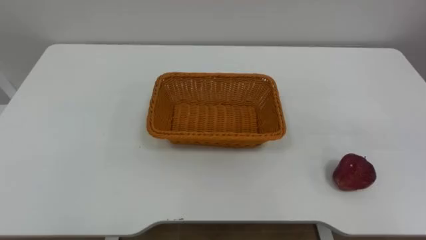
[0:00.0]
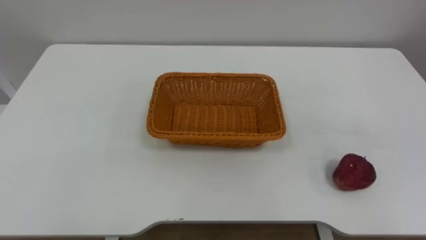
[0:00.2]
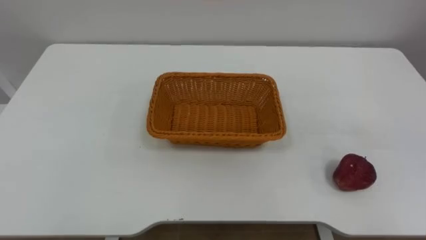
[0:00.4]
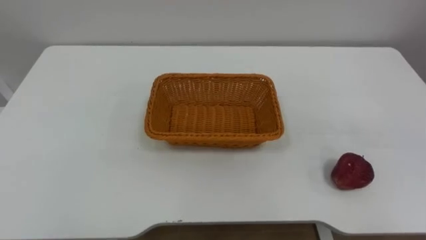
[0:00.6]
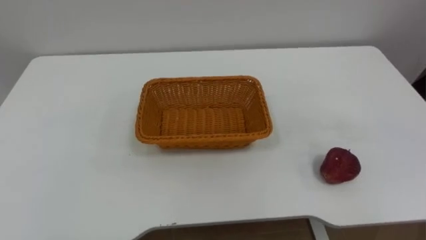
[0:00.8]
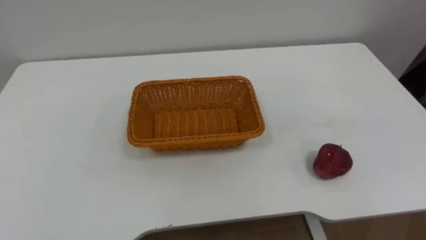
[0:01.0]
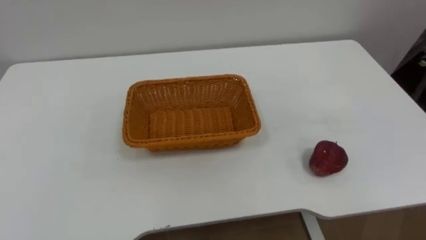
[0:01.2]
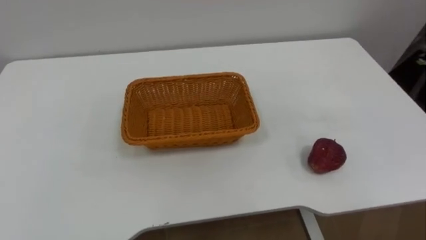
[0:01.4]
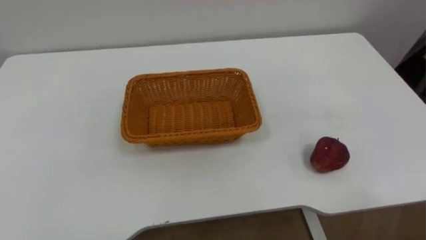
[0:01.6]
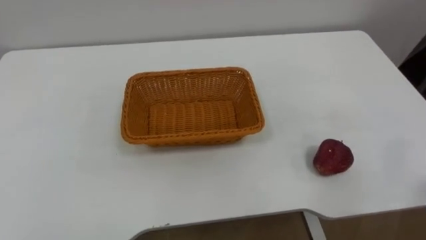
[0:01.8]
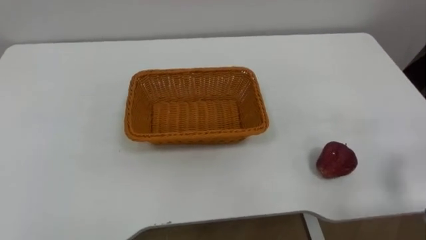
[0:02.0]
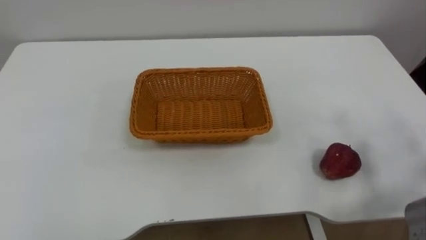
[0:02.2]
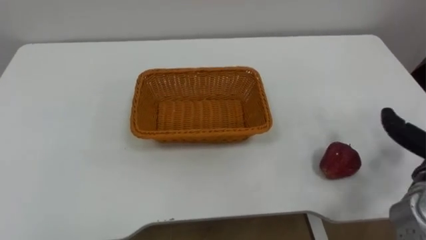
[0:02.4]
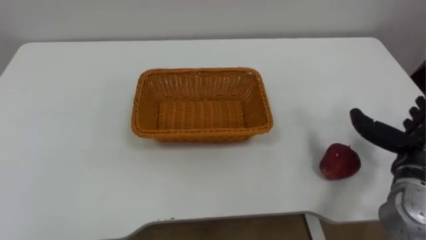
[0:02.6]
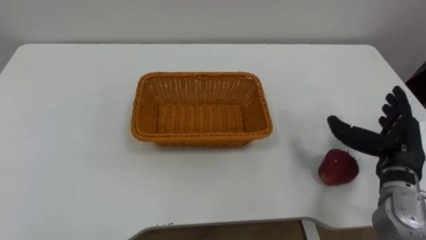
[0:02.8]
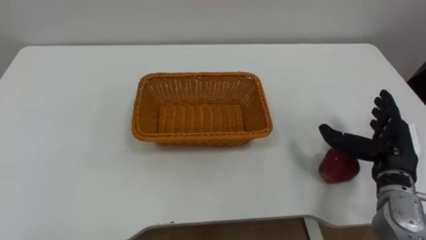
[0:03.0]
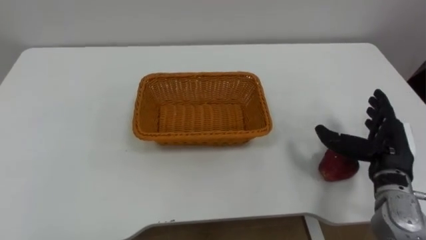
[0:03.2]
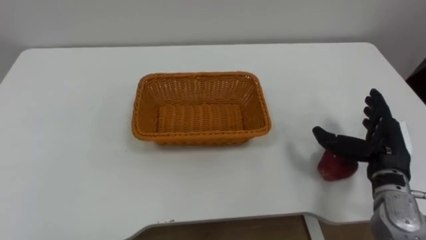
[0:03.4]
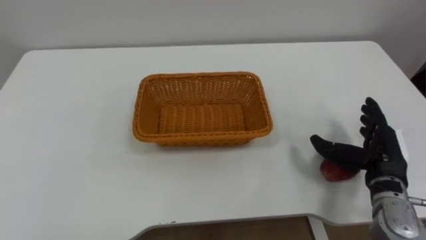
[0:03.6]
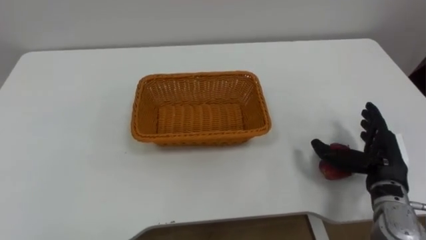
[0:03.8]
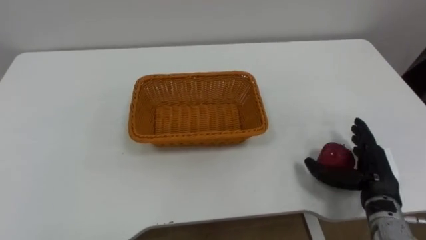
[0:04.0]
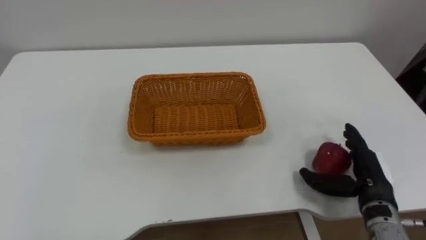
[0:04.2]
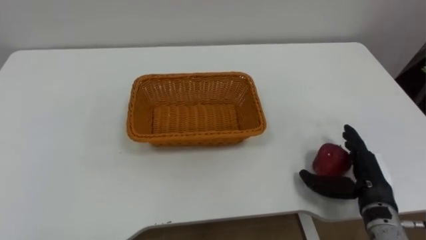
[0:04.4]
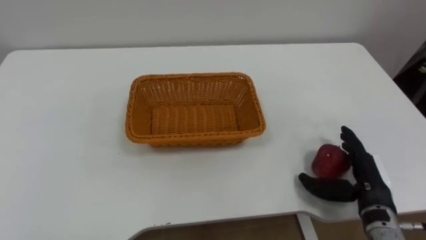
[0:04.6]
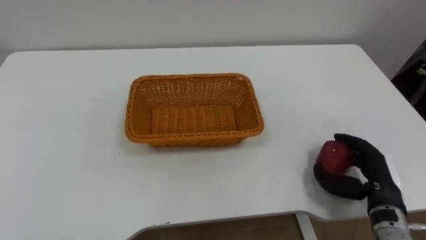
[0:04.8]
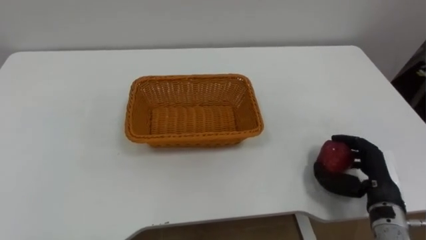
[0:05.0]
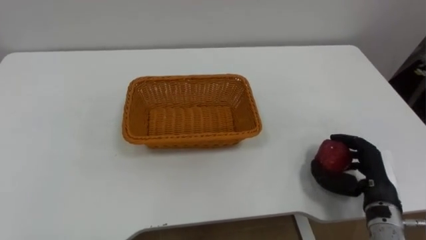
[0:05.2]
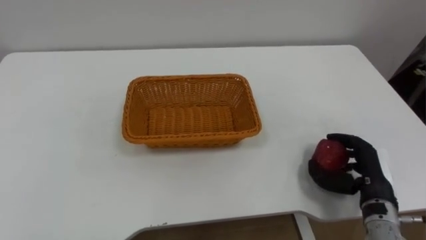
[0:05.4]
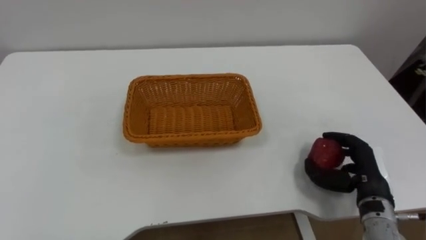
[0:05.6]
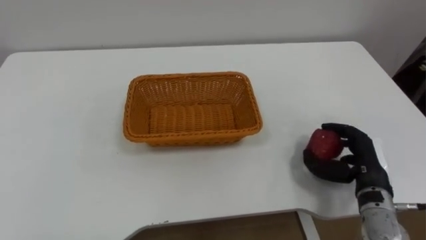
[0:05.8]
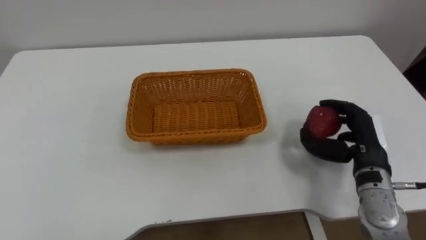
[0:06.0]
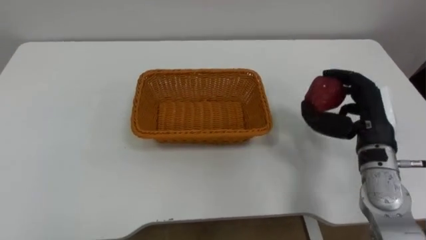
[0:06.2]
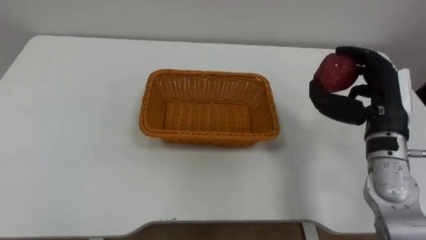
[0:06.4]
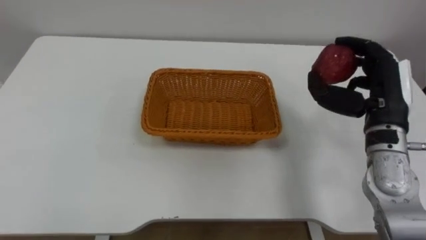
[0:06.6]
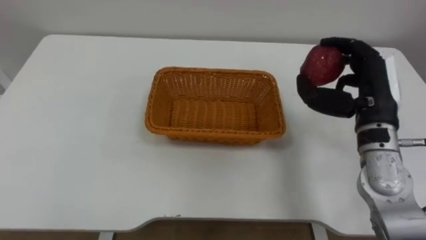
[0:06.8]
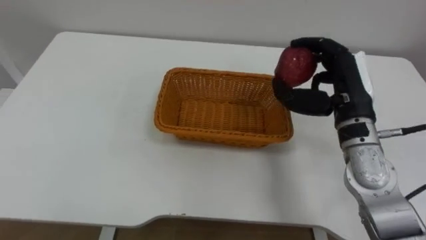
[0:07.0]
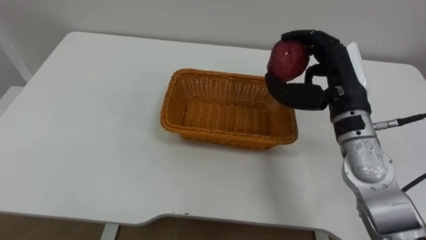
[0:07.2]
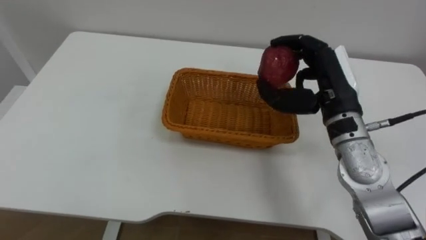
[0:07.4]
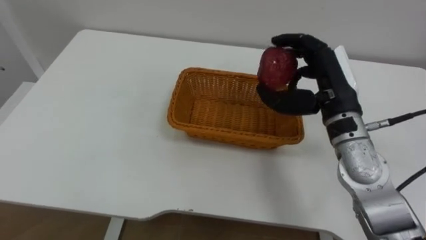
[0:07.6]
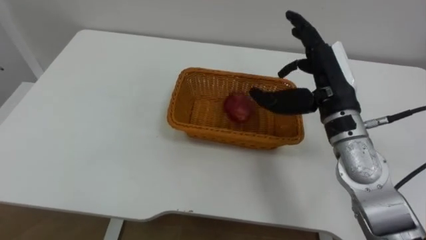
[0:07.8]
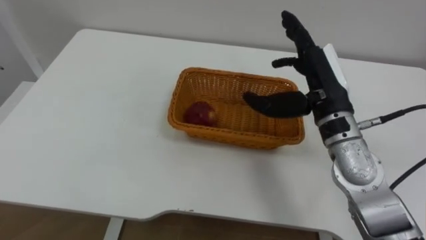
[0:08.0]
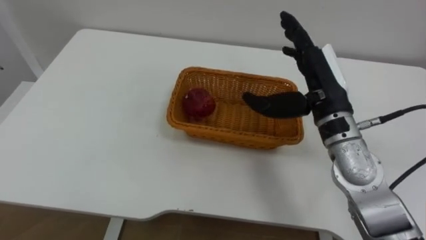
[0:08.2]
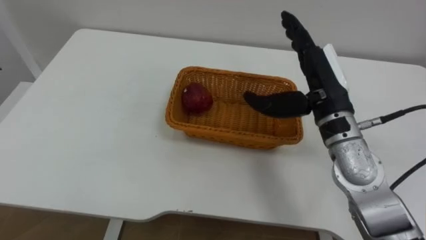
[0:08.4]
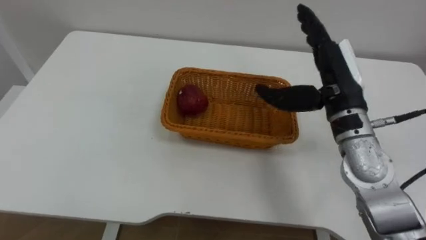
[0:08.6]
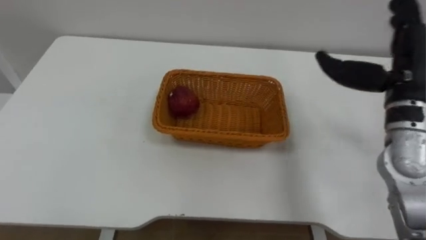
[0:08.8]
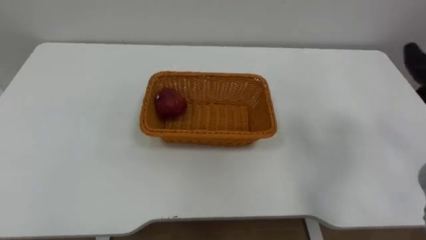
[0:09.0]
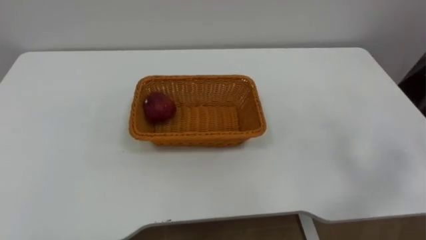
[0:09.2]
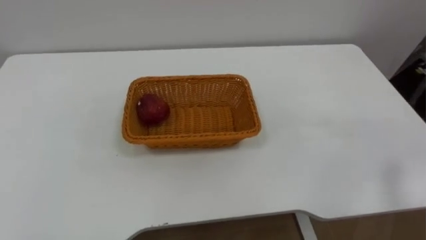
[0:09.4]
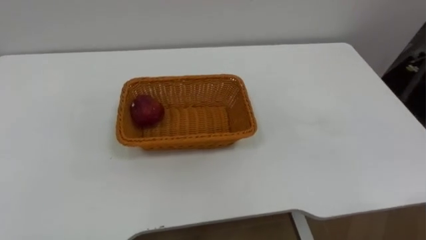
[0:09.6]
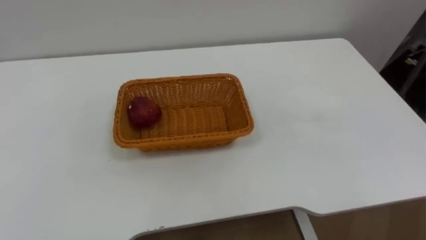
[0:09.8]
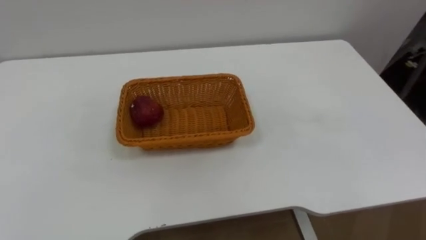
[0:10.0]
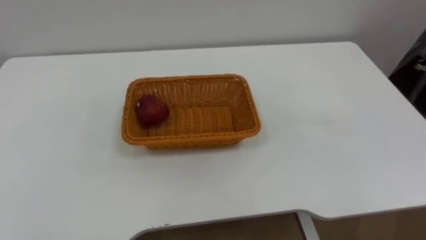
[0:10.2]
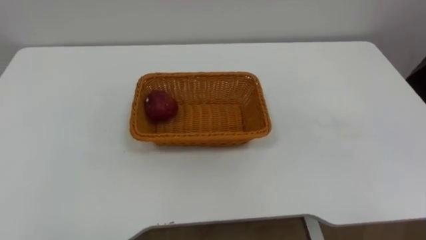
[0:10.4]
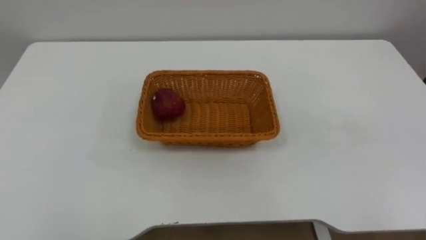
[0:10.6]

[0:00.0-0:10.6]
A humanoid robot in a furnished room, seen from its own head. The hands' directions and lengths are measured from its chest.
Task of the whole recording: Pick the apple and place it in the box.
0:03.0 to 0:04.6: The right hand moves about 5 cm.
0:04.6 to 0:06.0: The right hand shifts by roughly 5 cm, and closes up.
0:06.0 to 0:07.6: The right hand goes roughly 15 cm upward, to the left and forward.

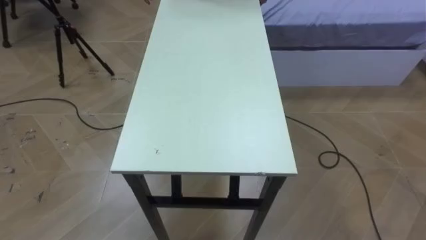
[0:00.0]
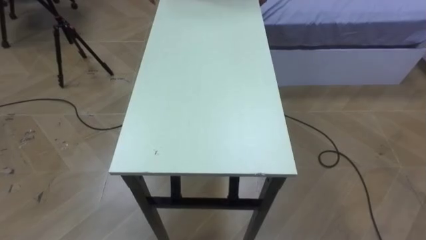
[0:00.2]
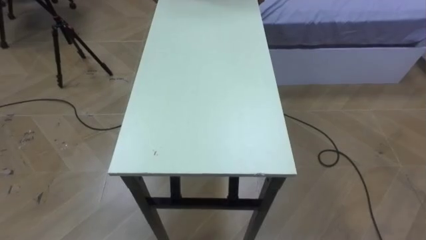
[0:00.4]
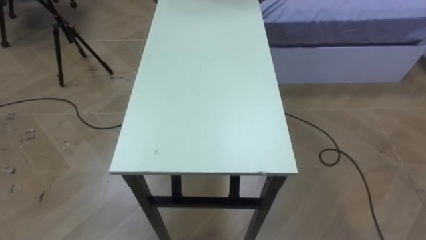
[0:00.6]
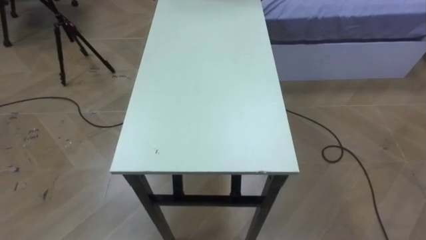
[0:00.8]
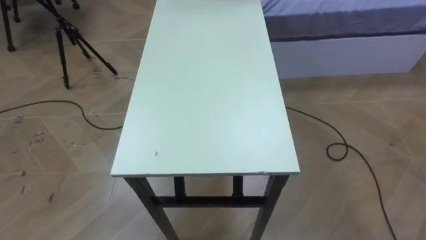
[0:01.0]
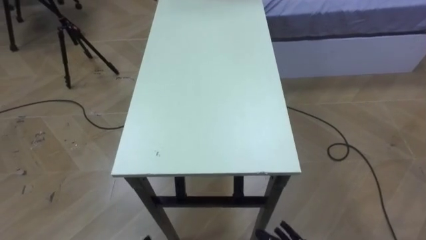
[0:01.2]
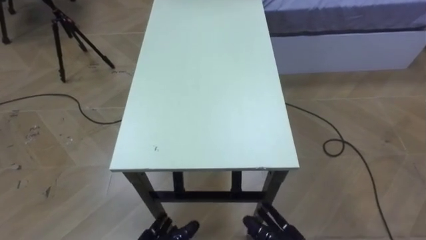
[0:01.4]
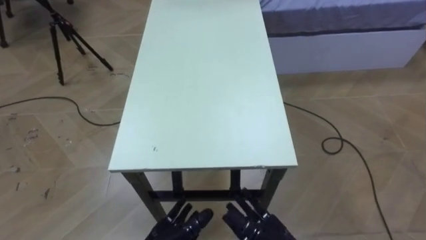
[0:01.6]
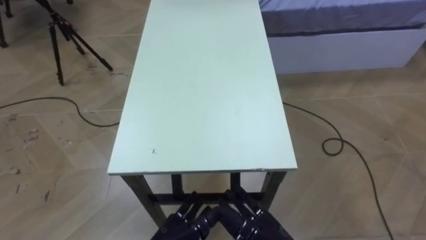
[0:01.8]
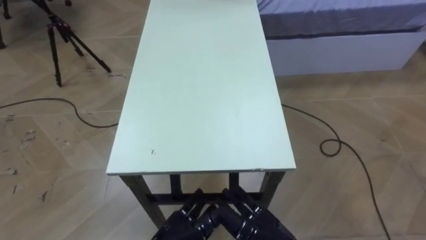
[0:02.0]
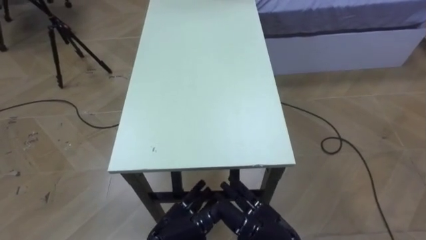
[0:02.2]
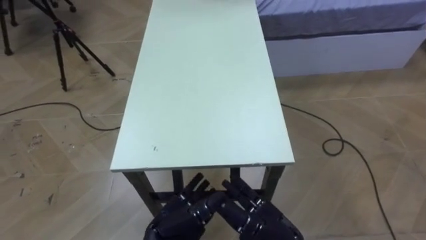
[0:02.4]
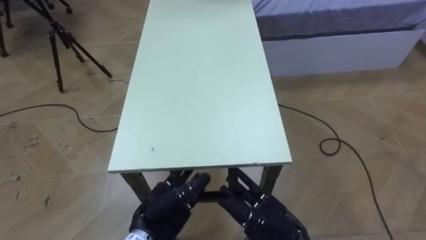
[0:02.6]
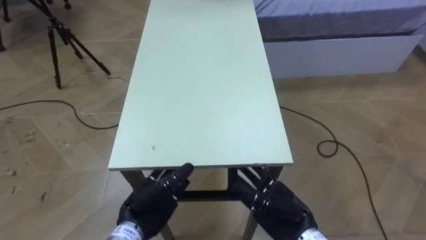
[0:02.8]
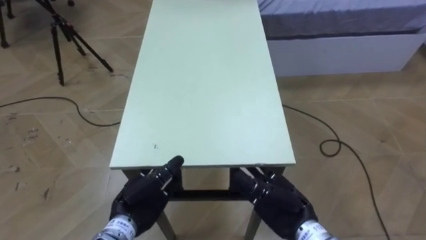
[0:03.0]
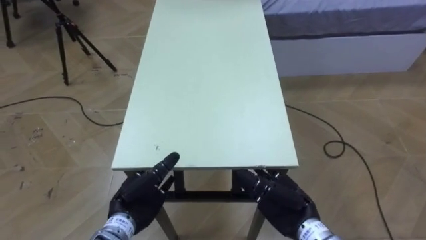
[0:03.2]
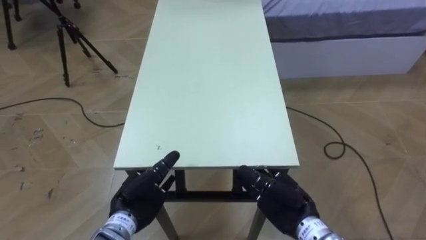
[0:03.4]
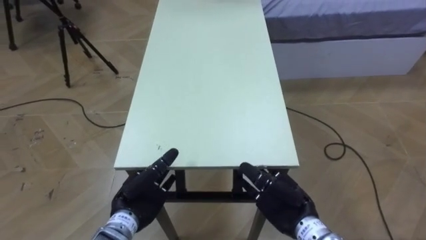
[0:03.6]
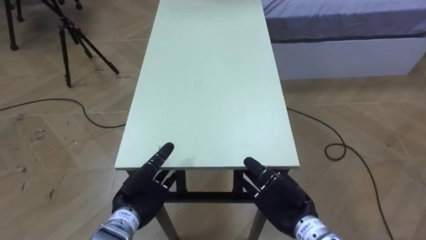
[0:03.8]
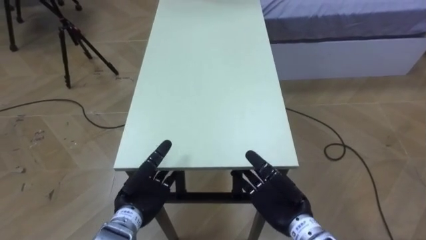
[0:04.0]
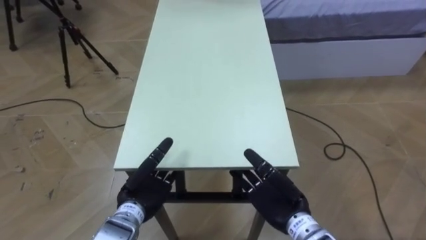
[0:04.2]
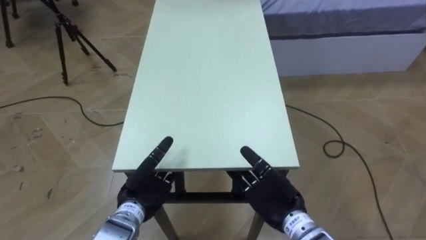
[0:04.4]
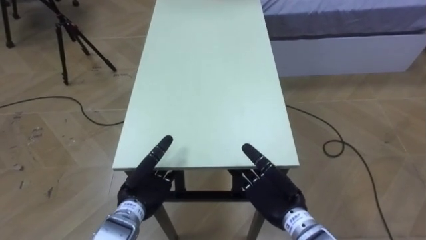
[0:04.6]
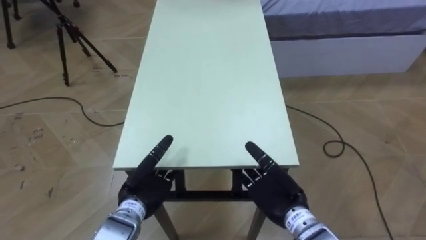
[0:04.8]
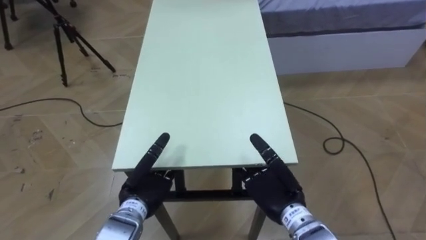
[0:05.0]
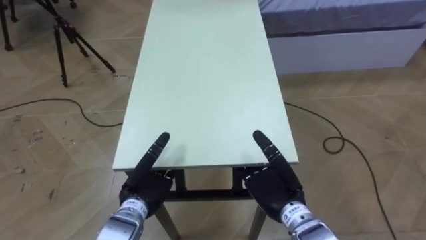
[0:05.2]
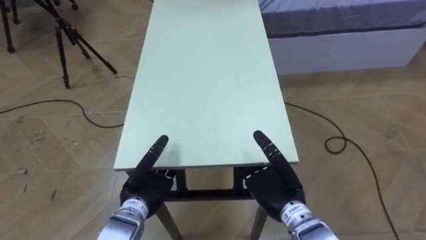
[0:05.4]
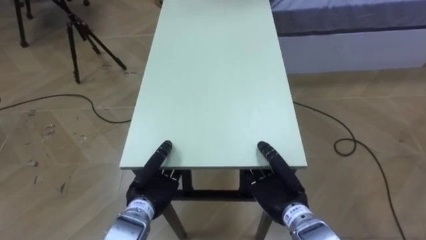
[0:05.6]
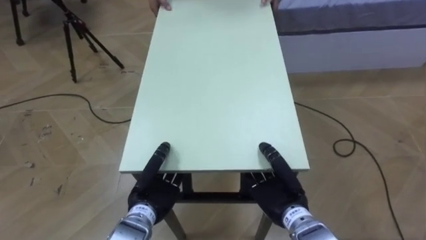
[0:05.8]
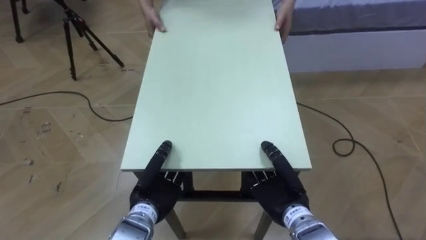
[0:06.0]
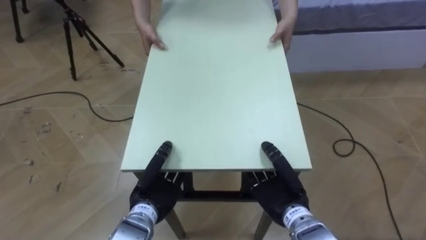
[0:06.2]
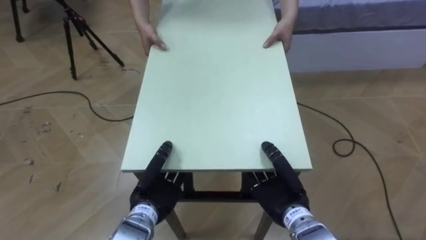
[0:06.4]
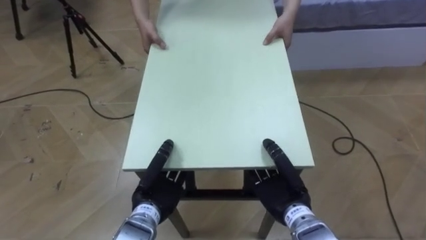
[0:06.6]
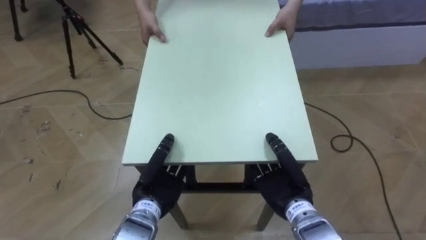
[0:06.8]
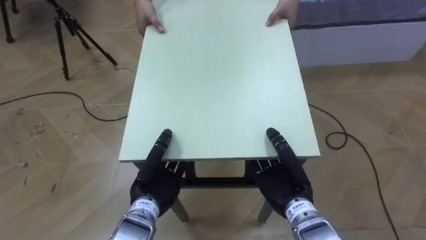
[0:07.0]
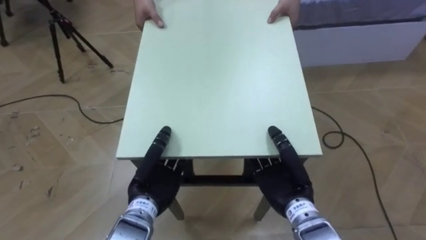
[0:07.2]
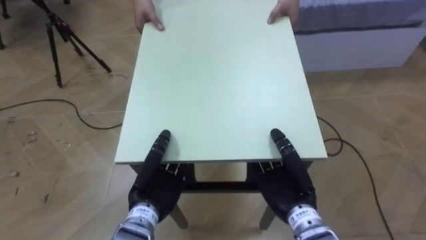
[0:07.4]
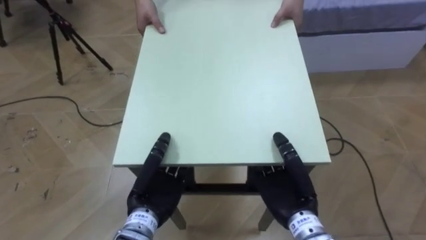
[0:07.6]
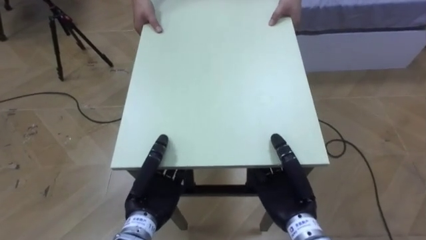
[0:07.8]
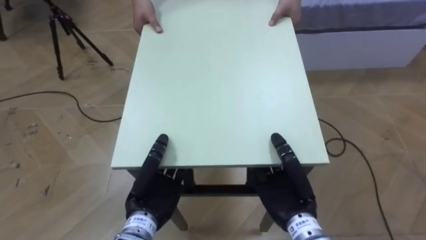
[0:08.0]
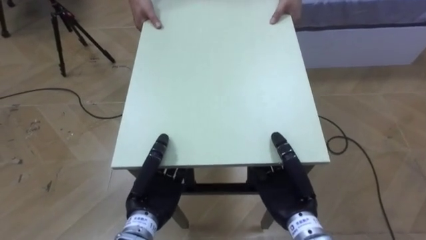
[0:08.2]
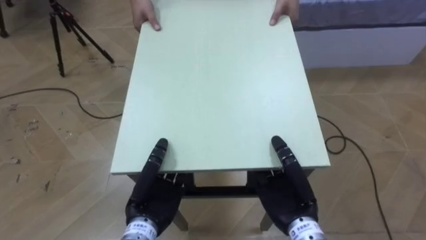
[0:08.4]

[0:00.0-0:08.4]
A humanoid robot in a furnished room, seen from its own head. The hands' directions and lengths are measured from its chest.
Task of the whole recording: Move the table to the back left with someone.
0:04.2 to 0:05.6: The left hand closes its fingers. Meanwhile the right hand closes up.
